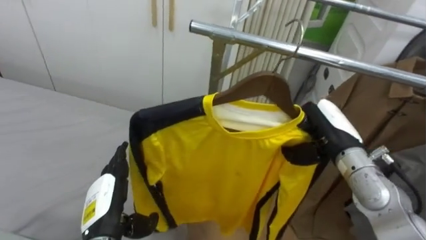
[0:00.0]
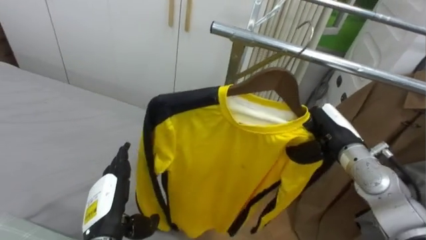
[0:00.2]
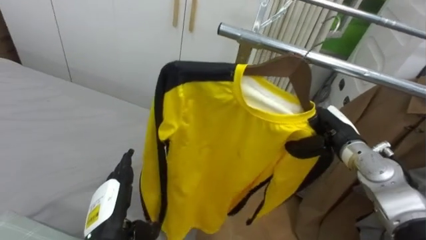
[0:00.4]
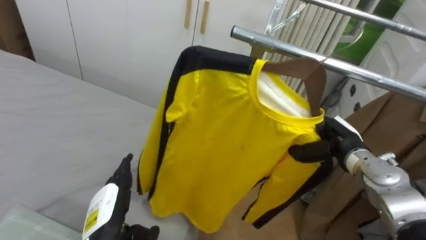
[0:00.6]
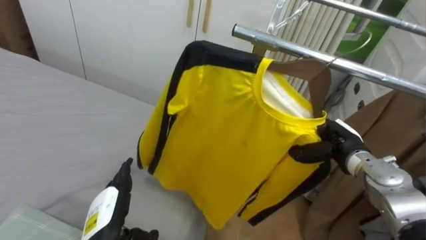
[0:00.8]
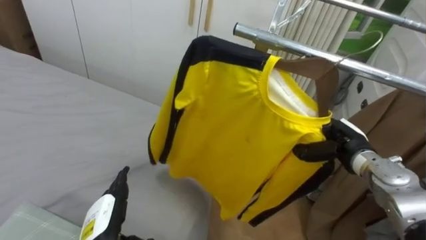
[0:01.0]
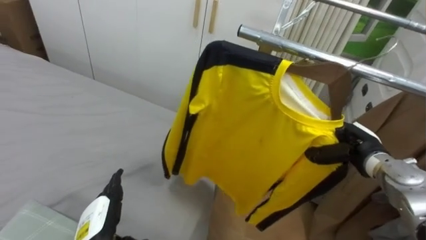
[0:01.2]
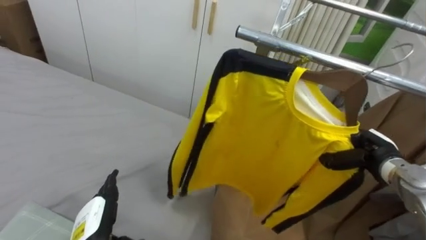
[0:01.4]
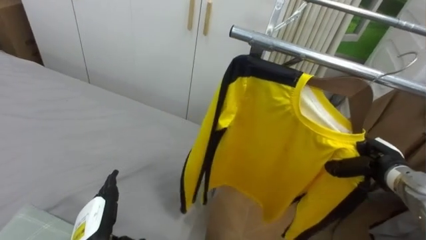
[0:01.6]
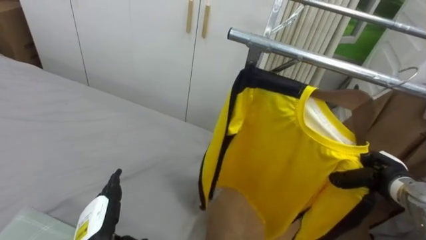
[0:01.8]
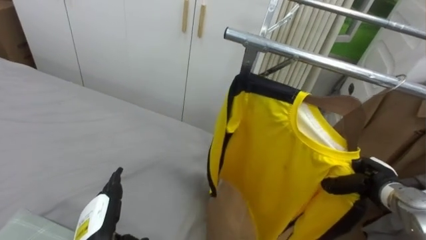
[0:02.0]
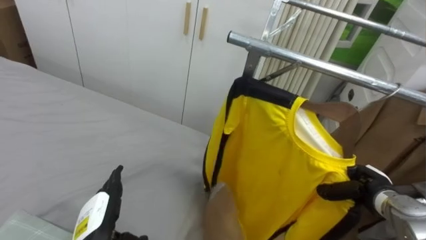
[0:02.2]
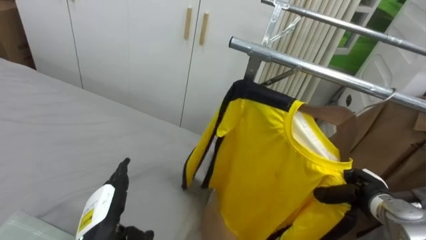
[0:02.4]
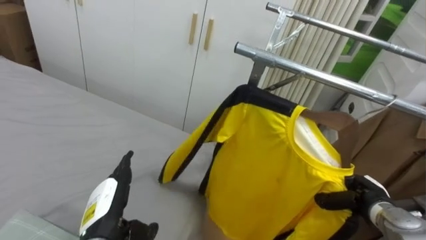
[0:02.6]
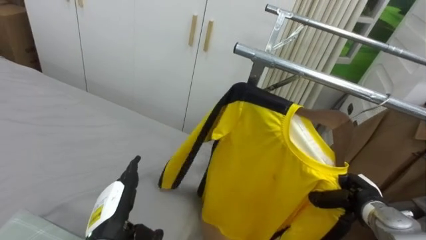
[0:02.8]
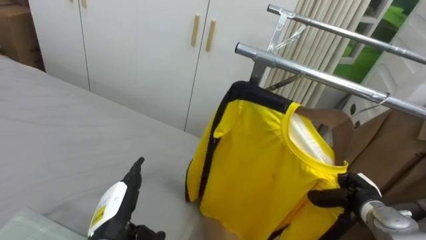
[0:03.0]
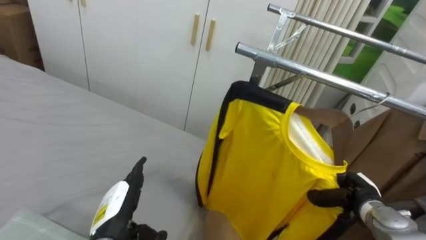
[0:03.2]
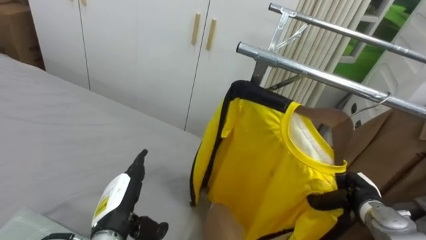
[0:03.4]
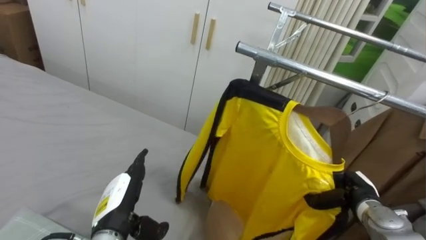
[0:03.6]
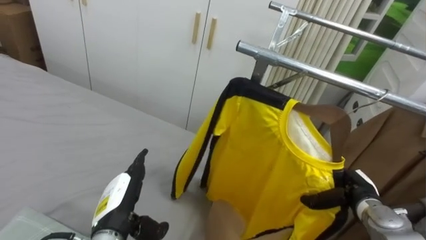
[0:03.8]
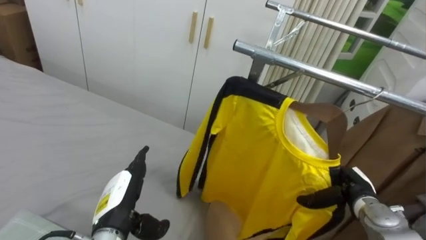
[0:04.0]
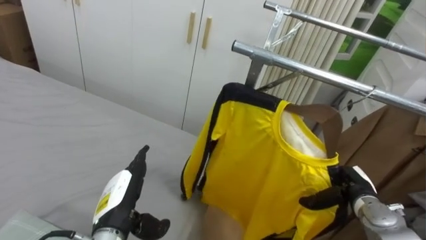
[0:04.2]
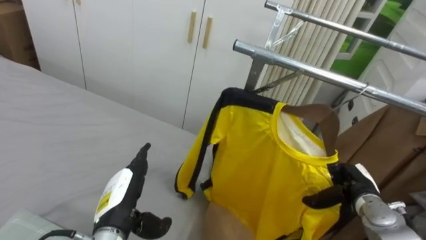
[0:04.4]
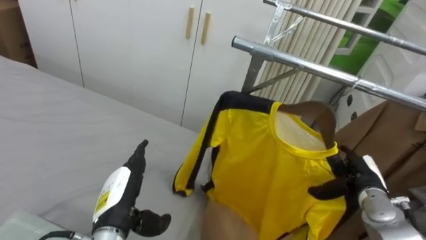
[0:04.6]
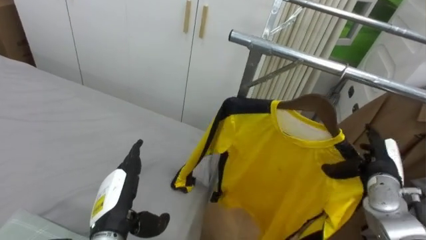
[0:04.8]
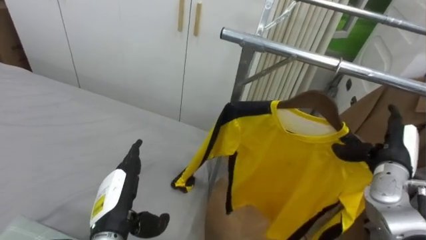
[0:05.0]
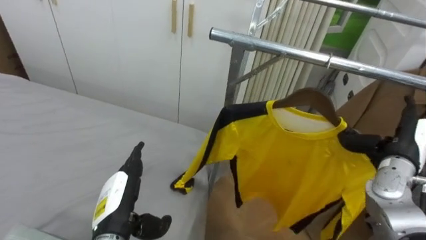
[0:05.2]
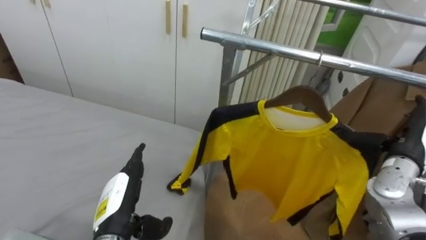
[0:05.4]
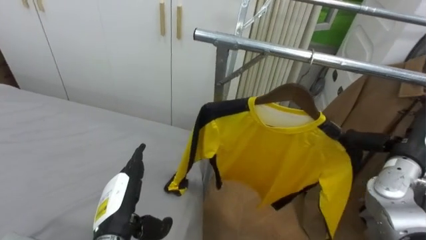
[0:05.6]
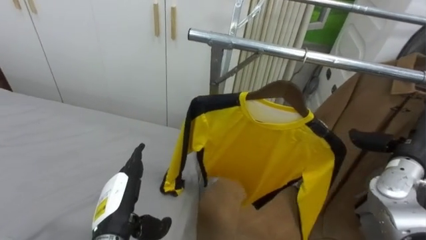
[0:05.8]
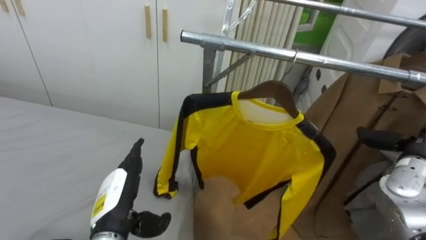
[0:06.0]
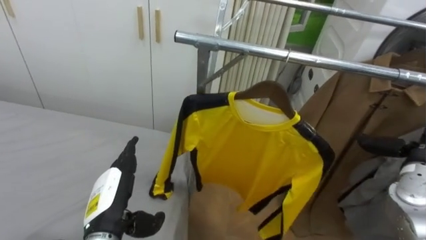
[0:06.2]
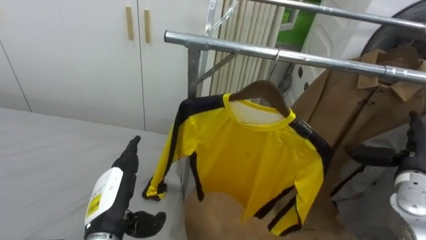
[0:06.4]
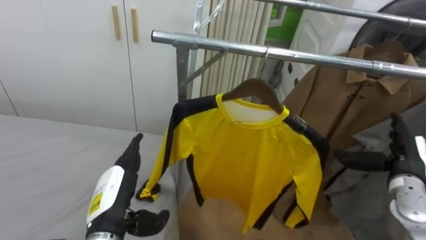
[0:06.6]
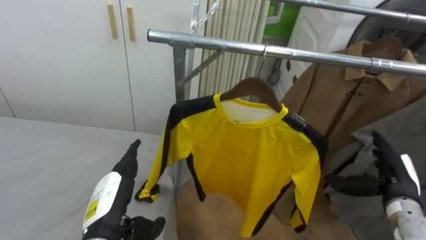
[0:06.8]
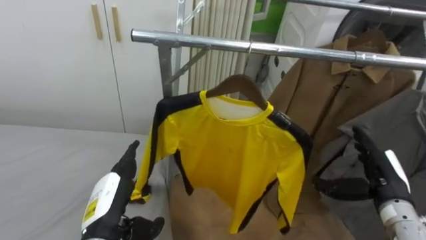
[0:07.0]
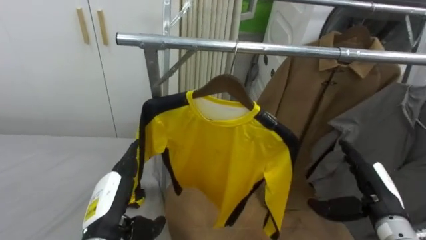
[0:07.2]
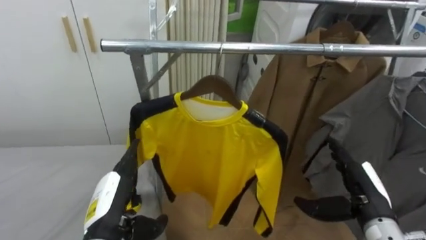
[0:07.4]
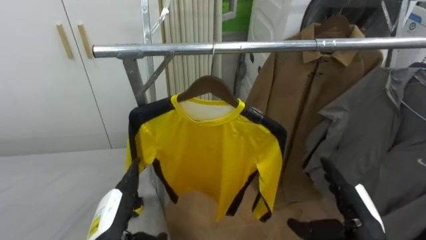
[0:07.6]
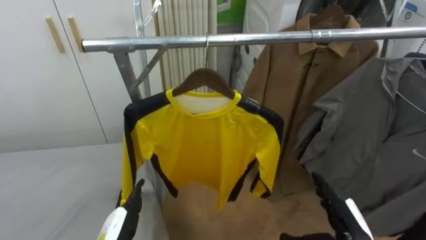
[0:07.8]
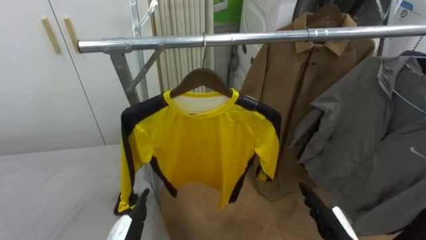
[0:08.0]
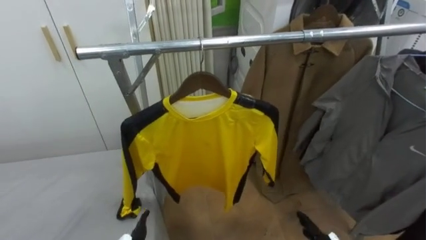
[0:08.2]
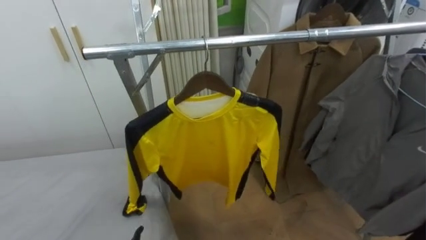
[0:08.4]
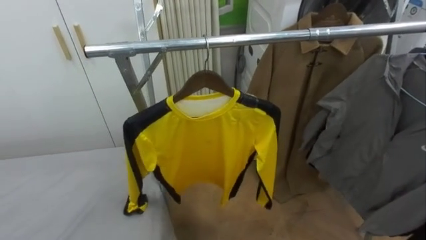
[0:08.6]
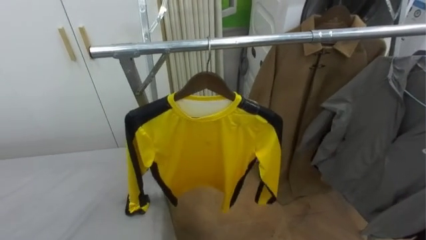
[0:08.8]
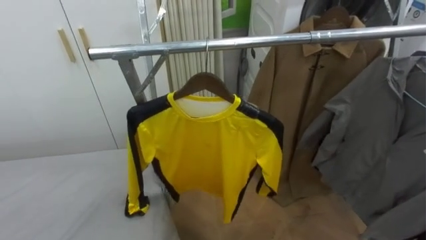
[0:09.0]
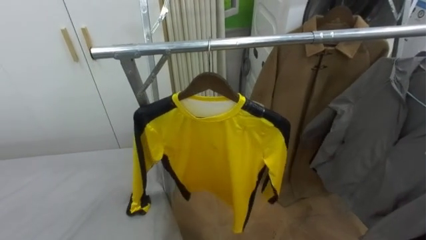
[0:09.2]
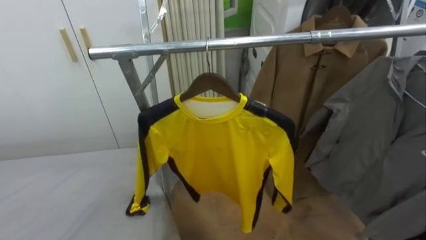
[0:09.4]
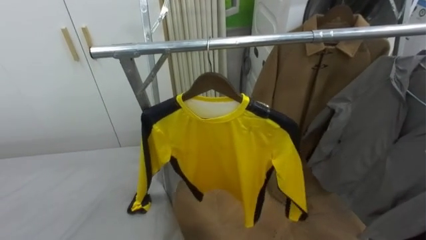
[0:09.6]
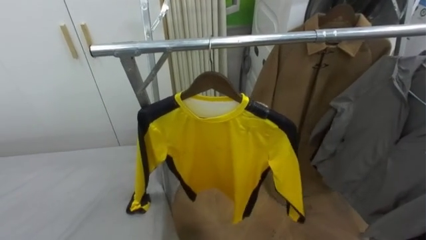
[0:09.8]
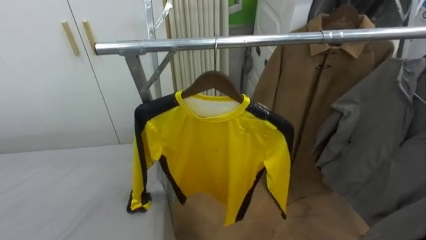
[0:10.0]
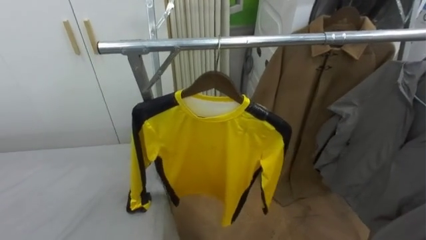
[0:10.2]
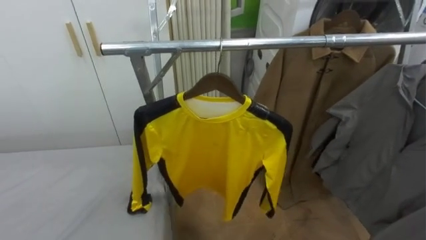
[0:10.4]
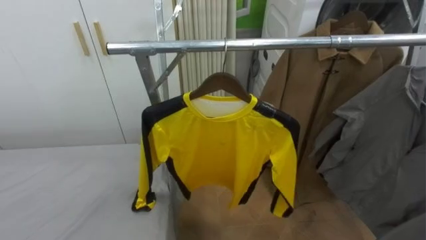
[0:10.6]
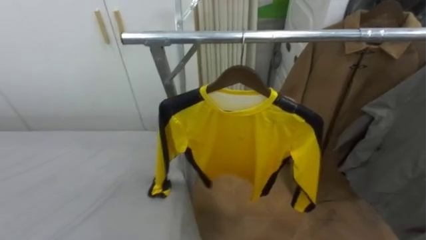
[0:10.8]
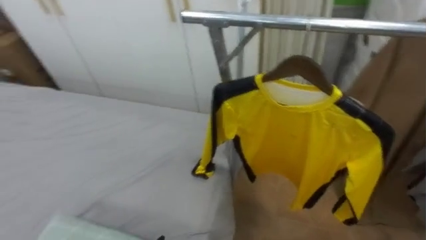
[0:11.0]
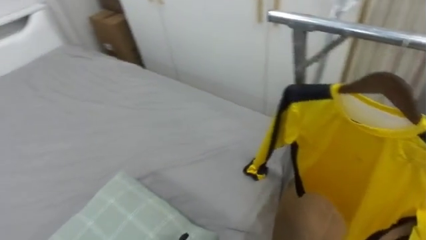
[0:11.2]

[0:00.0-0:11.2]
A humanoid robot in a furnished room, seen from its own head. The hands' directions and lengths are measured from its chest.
Task of the whole recording: Pick up the yellow shirt on the bed and hang it on the clothes rack on the right.
0:00.0 to 0:01.6: The right hand travels to the right and downward by some 15 cm.
0:01.6 to 0:03.2: The right hand is displaced downward by about 5 cm.
0:03.2 to 0:04.8: The right hand heads upward, covering about 5 cm, and opens.
0:04.8 to 0:06.4: The right hand changes place by roughly 5 cm.
0:06.4 to 0:08.0: The right hand shifts some 20 cm to the left, backward and downward.
0:09.6 to 0:11.2: The robot rotates approximately 40 degrees to its left.

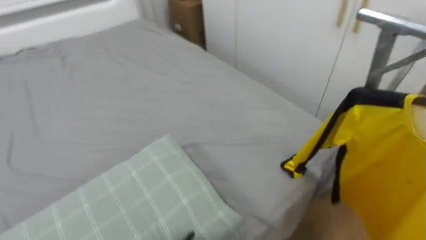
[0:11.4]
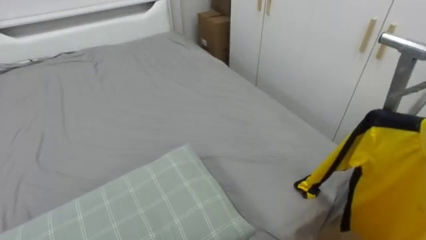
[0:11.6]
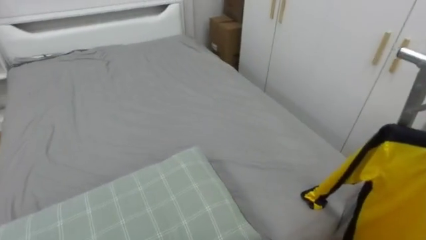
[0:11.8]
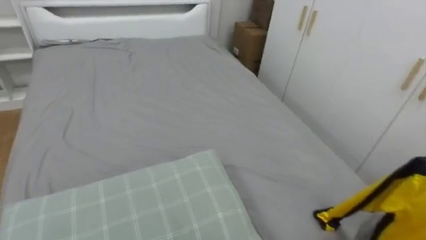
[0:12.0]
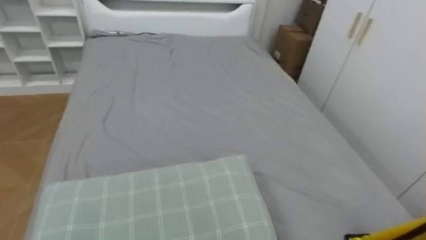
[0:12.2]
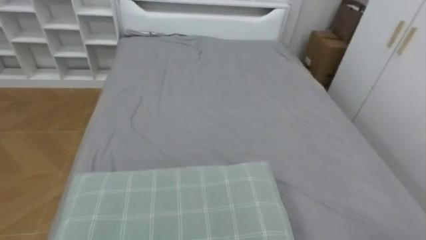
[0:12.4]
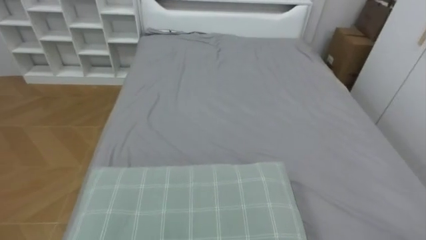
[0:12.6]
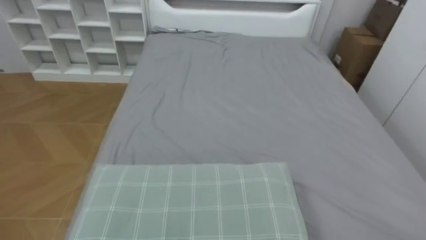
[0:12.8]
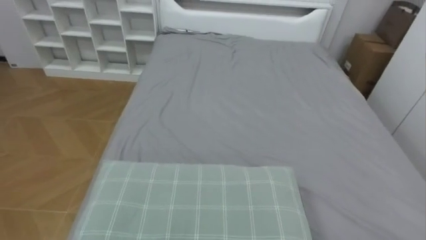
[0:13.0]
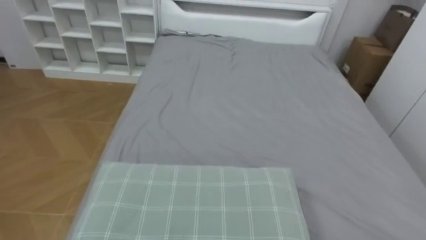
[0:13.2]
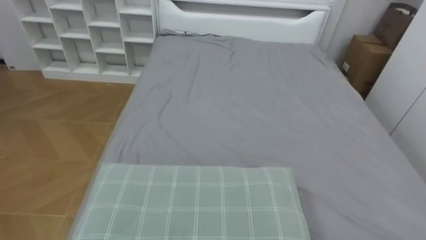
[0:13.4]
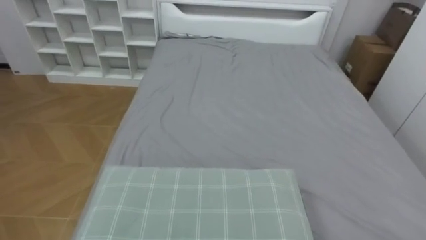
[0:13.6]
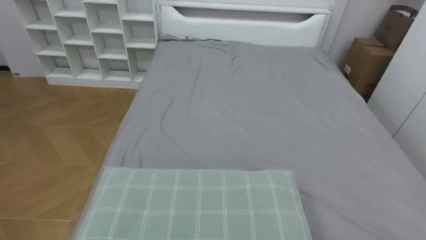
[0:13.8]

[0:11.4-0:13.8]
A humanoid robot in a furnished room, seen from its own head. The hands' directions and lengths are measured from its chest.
Task of the whole recording: Pick up the yellow shirt on the bed and hang it on the clothes rack on the right.
0:11.4 to 0:12.6: The robot turns to its left by approximately 35 degrees.
